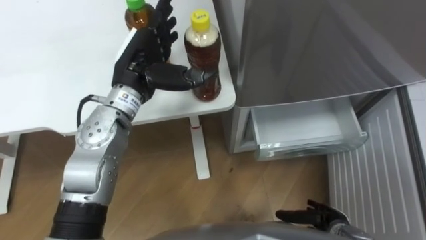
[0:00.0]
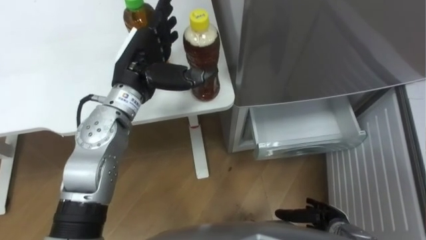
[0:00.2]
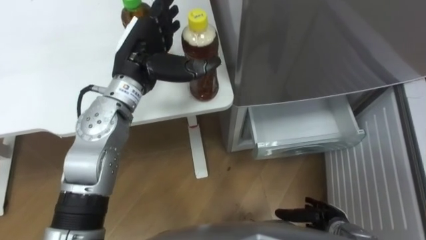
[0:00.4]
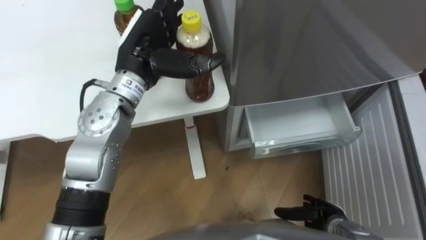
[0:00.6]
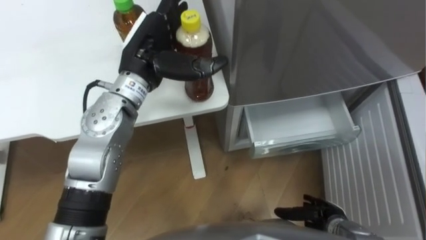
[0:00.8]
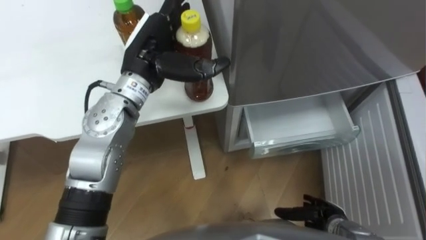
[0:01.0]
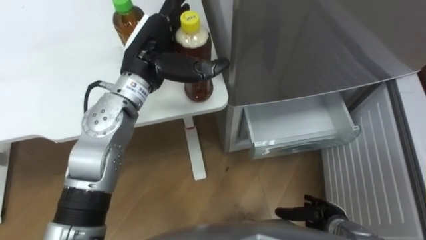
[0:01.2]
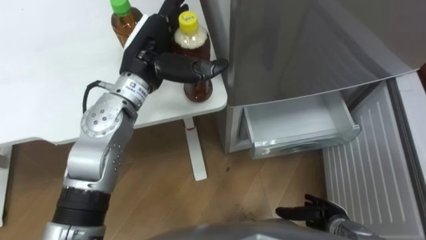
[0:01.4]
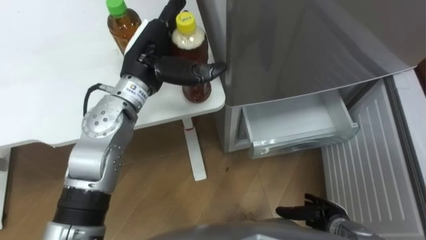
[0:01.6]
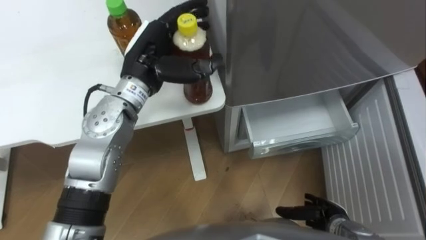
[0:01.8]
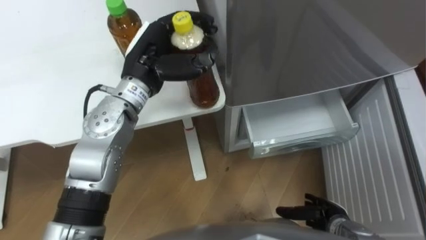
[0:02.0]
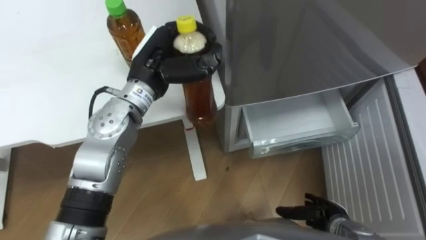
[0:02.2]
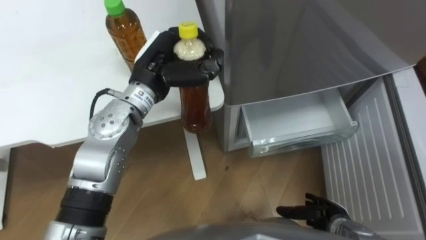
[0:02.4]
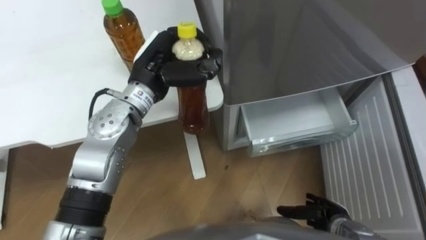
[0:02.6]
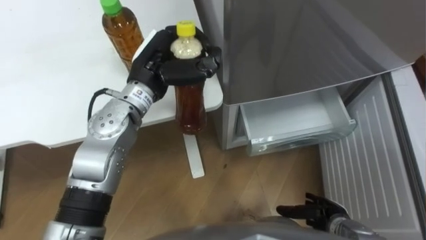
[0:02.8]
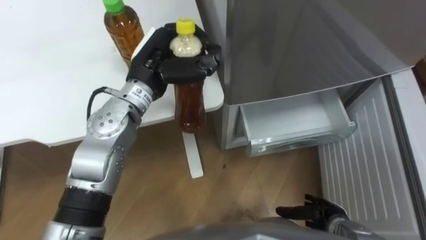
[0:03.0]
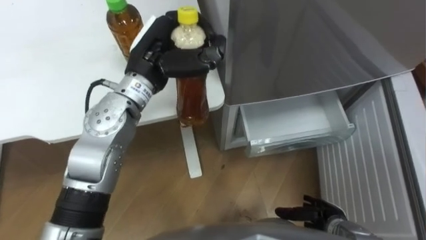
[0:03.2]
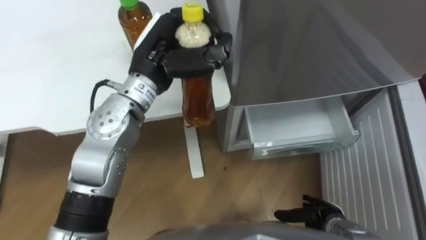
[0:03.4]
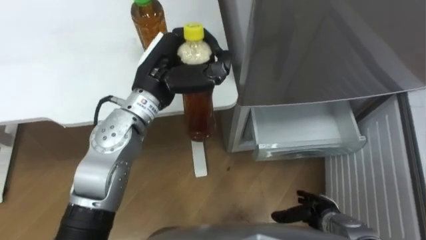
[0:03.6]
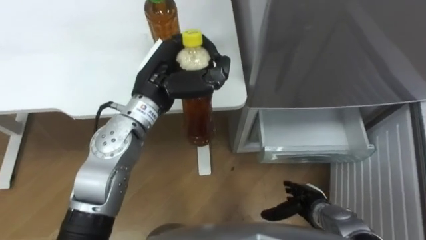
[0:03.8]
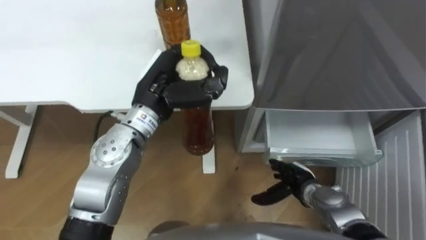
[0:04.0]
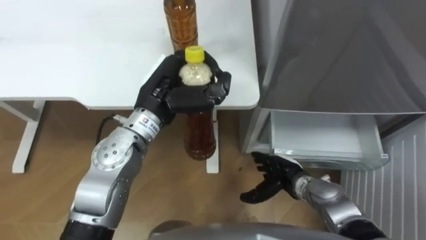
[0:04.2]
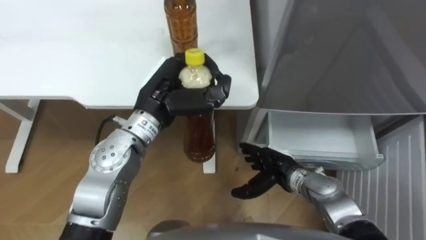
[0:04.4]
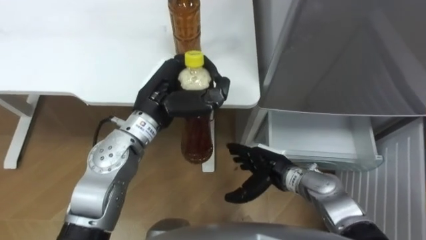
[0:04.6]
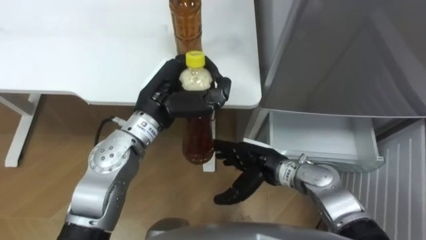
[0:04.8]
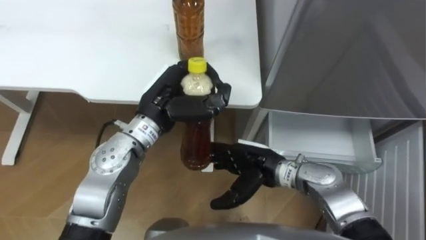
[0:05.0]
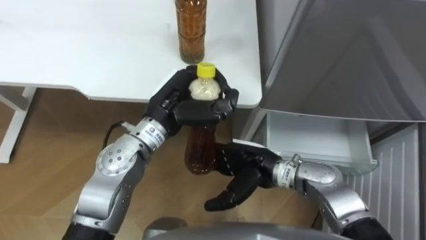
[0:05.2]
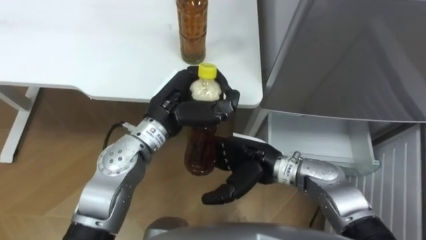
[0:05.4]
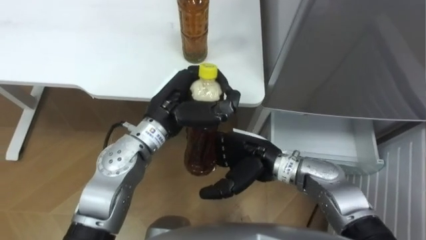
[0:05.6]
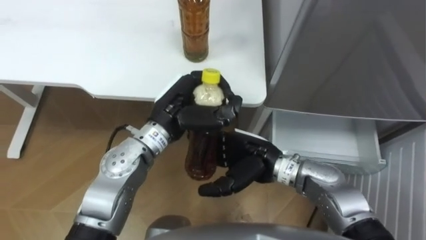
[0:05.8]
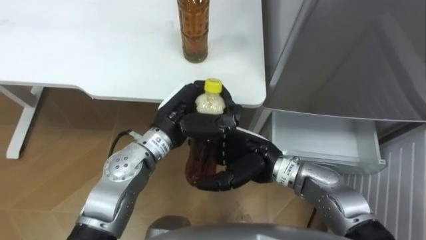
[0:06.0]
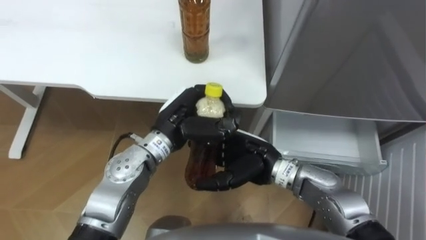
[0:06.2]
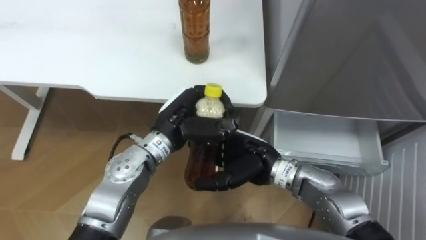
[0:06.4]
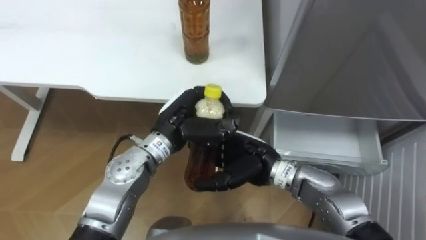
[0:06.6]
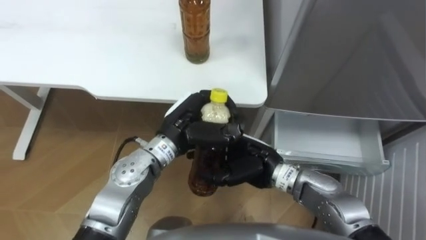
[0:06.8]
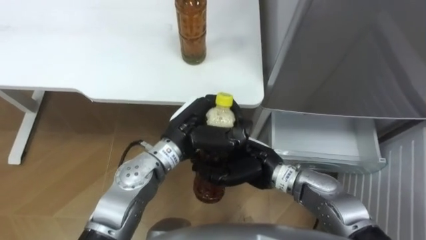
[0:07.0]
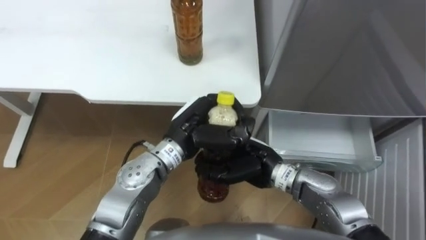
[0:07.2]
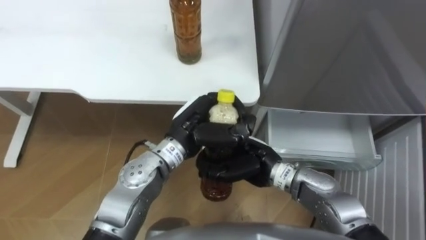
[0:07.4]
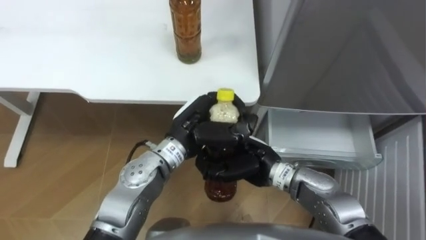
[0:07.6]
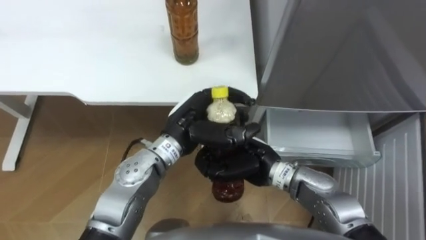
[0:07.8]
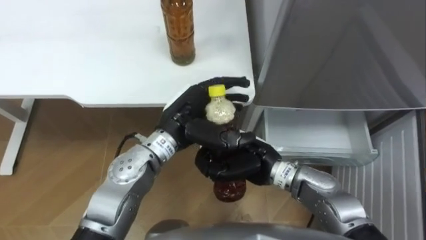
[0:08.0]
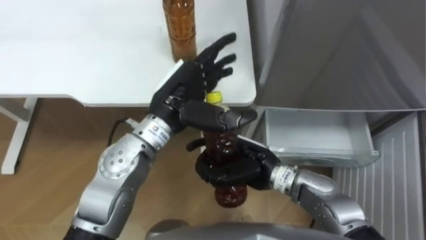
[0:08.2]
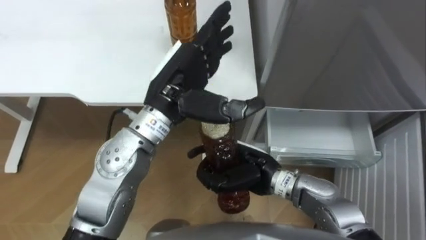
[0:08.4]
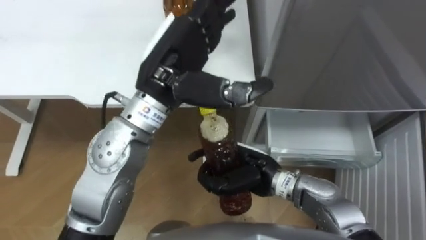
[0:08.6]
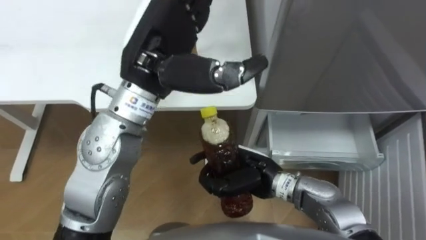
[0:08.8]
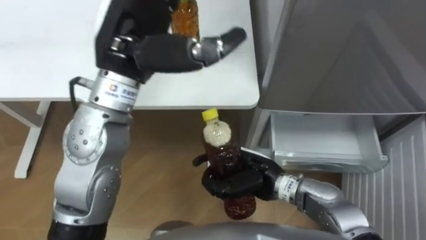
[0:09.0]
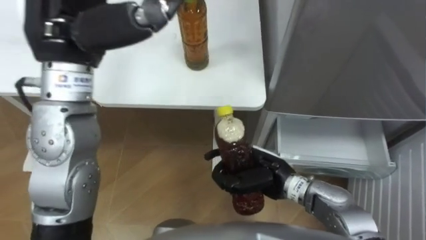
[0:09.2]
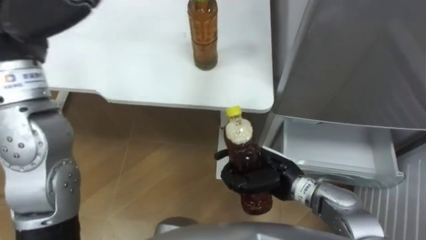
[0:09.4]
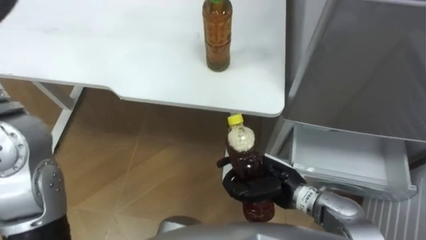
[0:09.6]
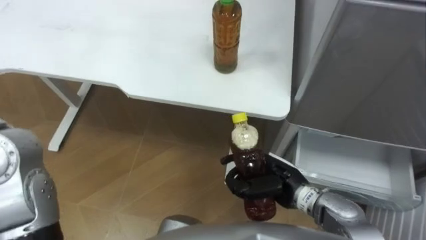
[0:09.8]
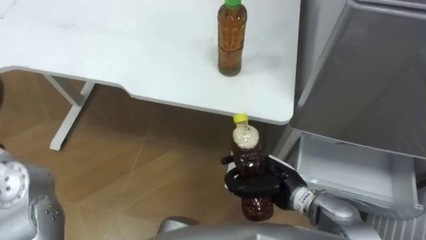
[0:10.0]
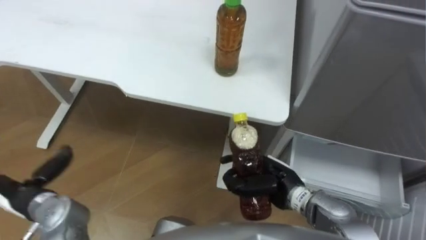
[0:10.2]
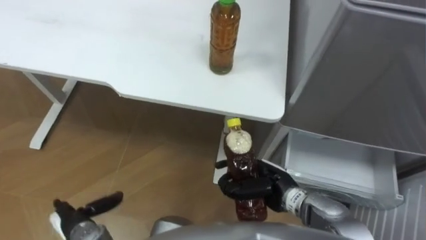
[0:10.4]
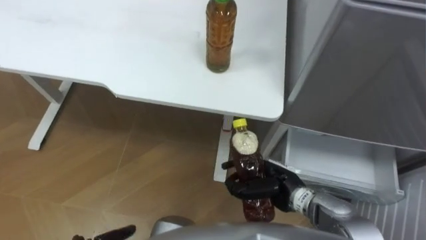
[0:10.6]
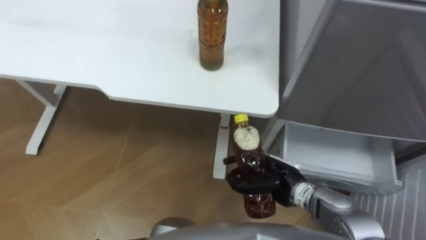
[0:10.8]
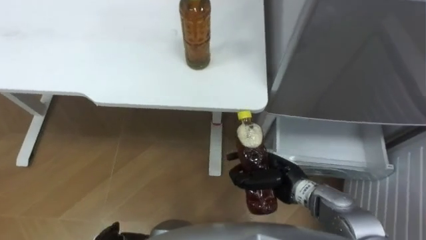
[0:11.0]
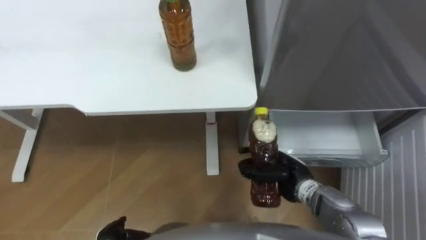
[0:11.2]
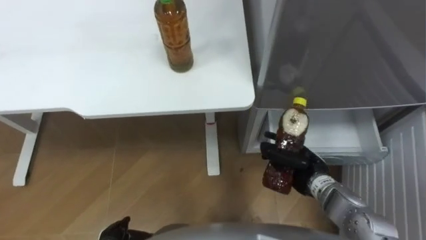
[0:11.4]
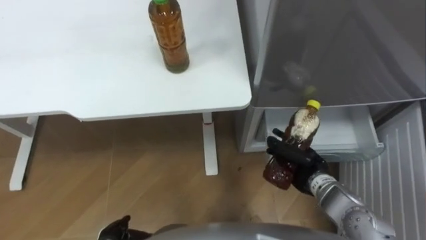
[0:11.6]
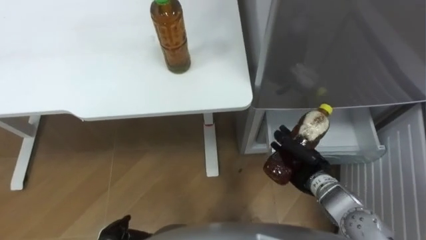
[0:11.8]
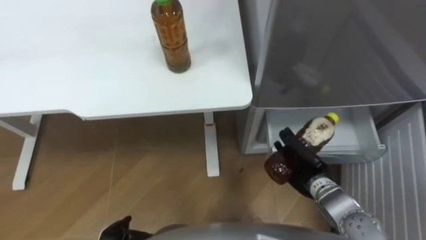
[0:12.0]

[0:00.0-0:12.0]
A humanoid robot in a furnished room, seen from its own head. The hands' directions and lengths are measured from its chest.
Task of the whole recording: Place the drink on the table on the bottom shelf of the refrigerator, then close the drawer and the refrigerator door.
1.6 to 3.0 s: The left hand closes.
3.0 to 4.4 s: The left hand shifts by some 5 cm. The right hand heads to the left, forward and upward, covering about 15 cm.
4.4 to 6.0 s: The right hand travels upward and to the left by about 15 cm, while the left hand moves roughly 5 cm.
6.0 to 7.6 s: The right hand closes.
7.6 to 9.0 s: The left hand is displaced upward by approximately 20 cm, and opens up.
9.0 to 10.4 s: The right hand shifts by approximately 5 cm.
10.4 to 12.0 s: The right hand shifts some 10 cm to the right.

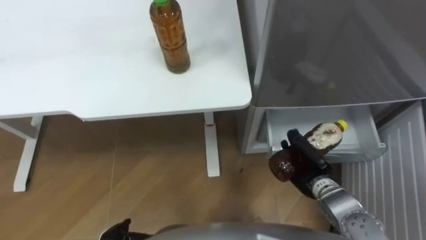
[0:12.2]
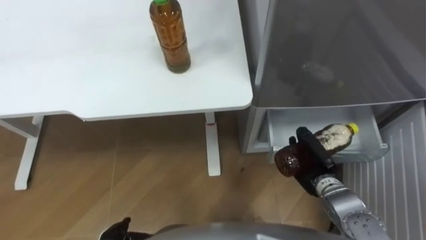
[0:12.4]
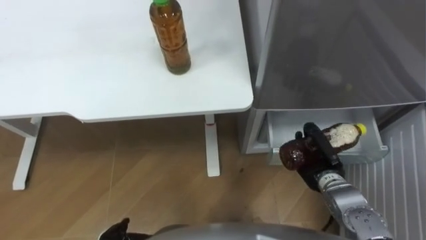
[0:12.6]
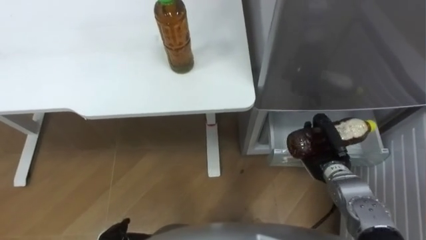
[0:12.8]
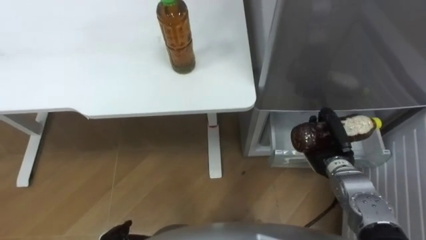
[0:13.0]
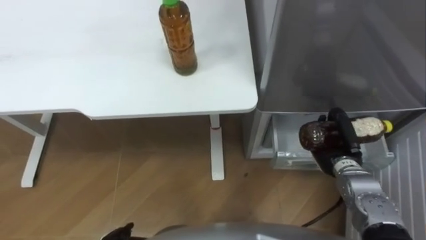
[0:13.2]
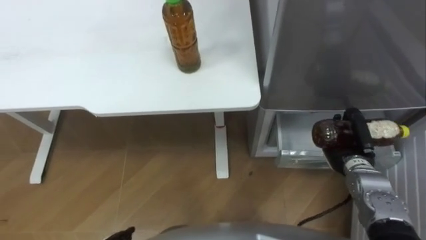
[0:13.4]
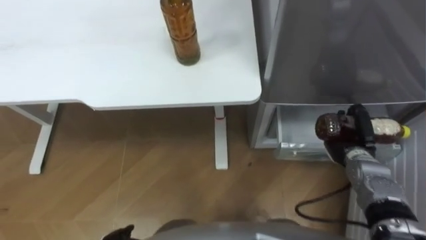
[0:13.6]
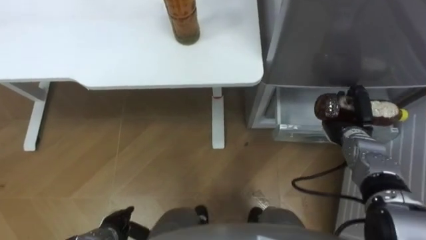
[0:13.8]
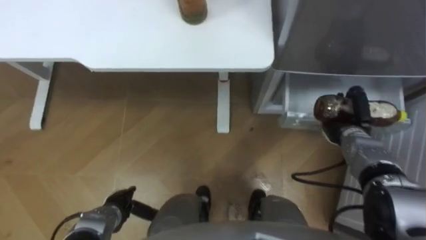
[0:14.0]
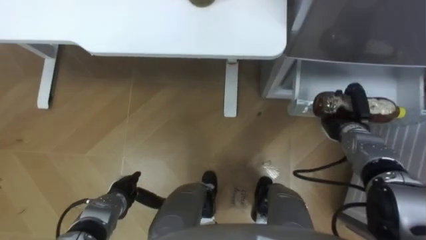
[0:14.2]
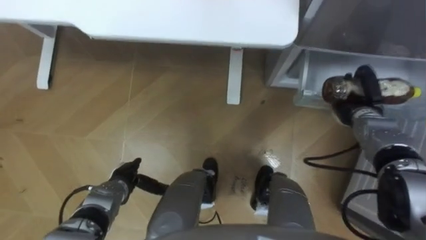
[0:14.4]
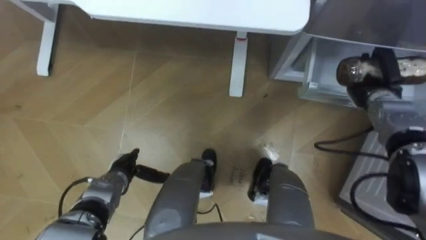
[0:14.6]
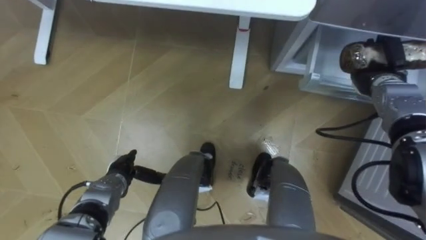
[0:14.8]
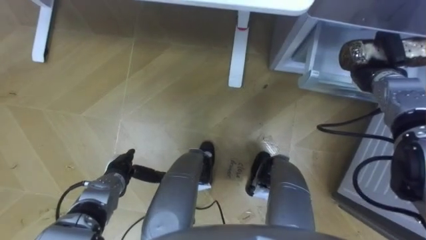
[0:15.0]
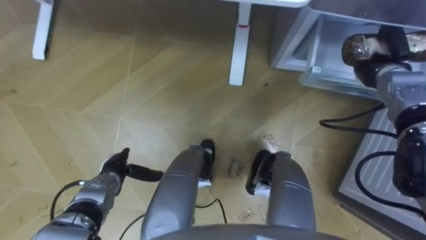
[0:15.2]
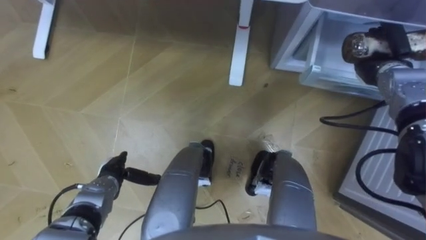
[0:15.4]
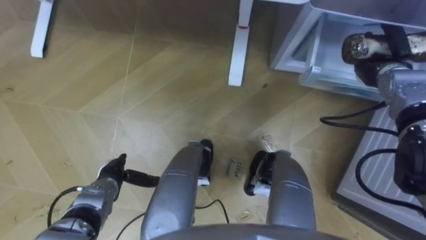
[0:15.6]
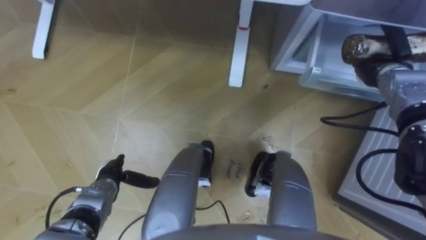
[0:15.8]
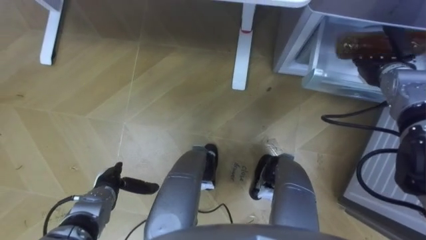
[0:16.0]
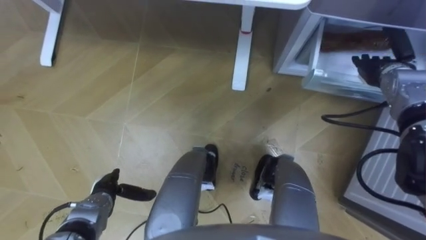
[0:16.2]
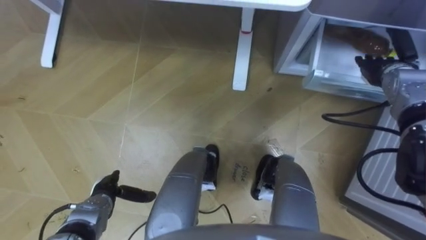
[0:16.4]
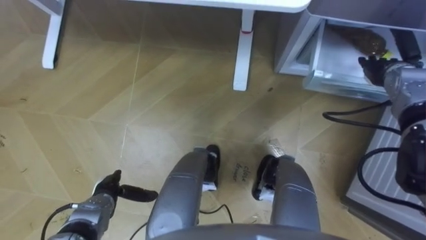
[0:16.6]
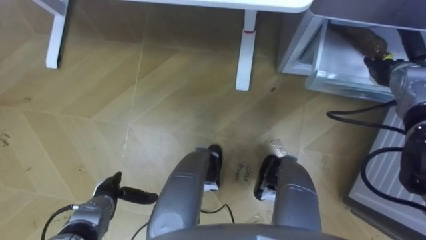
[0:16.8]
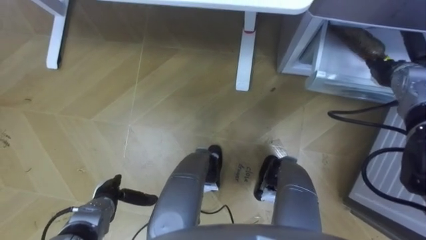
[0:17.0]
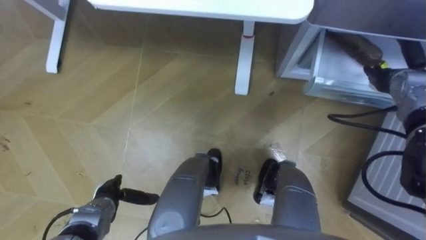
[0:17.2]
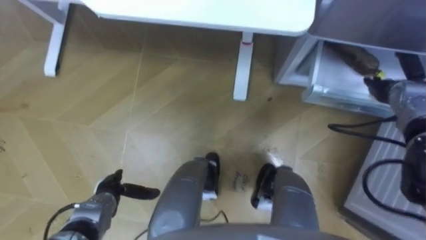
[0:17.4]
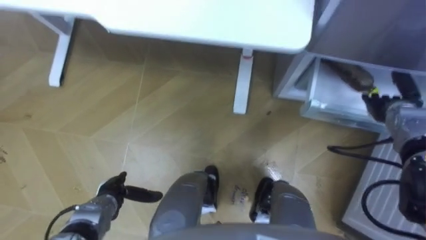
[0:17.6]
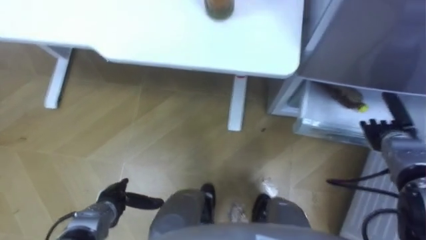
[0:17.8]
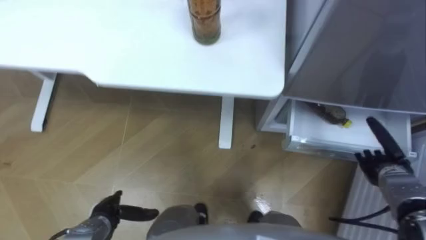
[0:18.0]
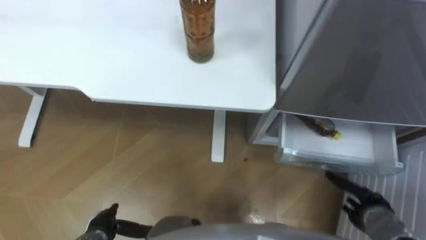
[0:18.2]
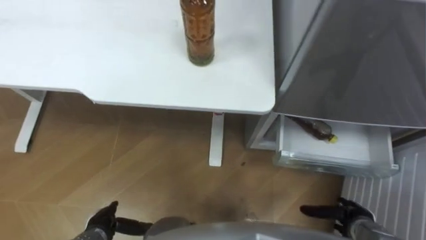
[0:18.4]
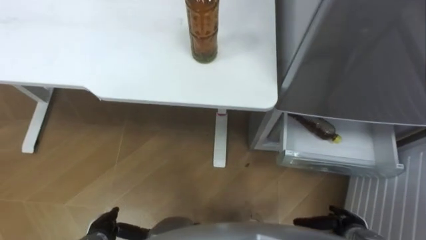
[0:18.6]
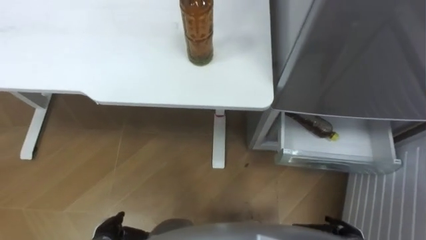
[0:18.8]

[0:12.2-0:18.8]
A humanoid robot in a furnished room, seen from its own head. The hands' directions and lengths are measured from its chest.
Task of the whole recording: Place the drink on the table on the bottom shelf of the refrigerator, then close the drawer and the refrigerator door.
12.2 to 13.8 s: The right hand moves forward and to the right, roughly 10 cm.
13.8 to 15.4 s: The right hand travels upward and forward by some 15 cm, while the left hand goes approximately 10 cm forward.
15.4 to 17.2 s: The right hand opens its fingers. Meanwhile the left hand heads backward, covering approximately 5 cm.
17.2 to 18.8 s: The right hand is displaced backward and downward by about 35 cm, while the left hand goes about 10 cm backward.
